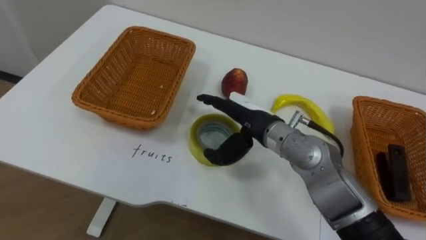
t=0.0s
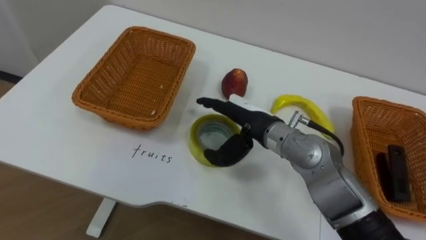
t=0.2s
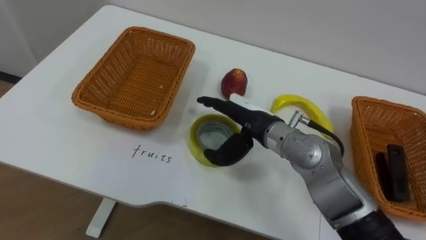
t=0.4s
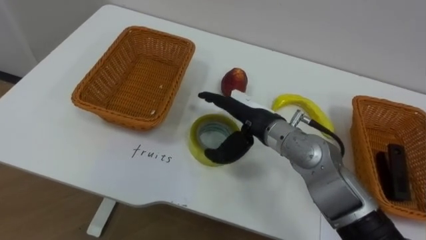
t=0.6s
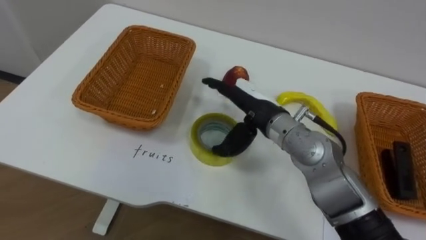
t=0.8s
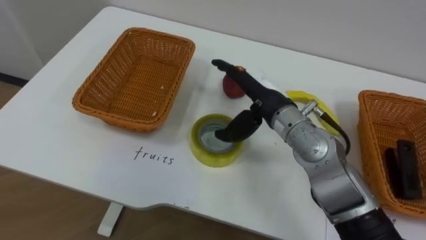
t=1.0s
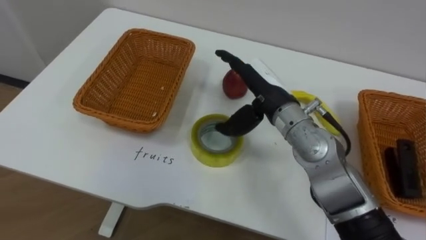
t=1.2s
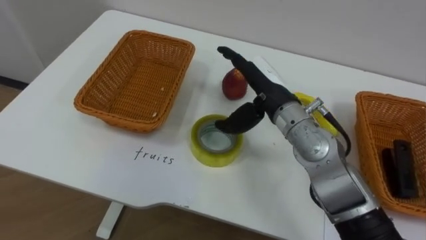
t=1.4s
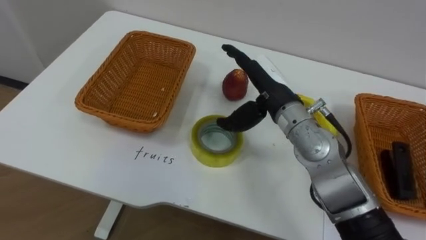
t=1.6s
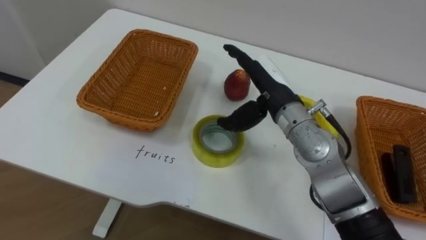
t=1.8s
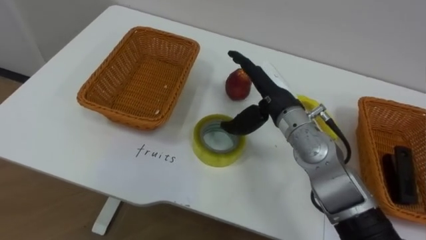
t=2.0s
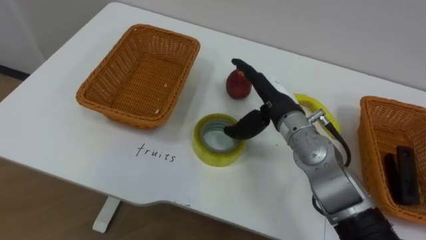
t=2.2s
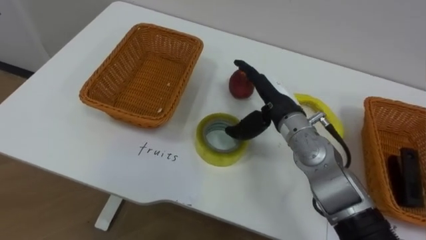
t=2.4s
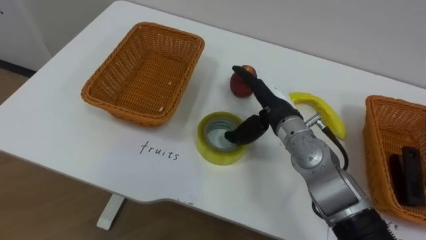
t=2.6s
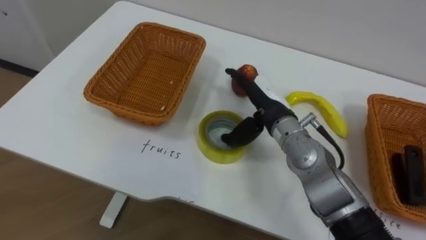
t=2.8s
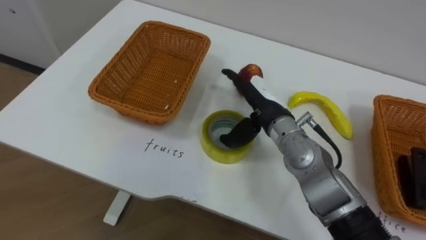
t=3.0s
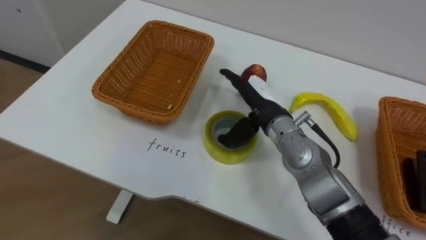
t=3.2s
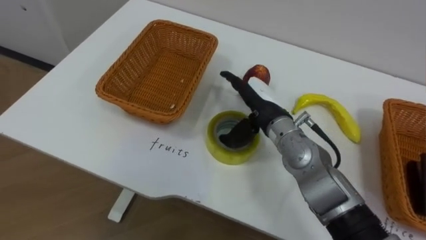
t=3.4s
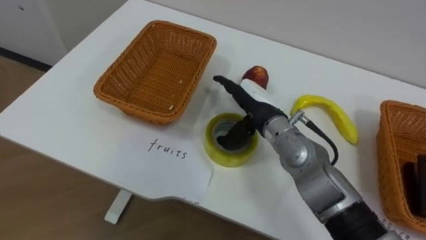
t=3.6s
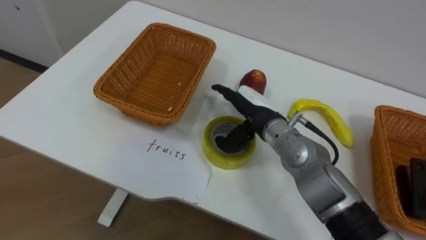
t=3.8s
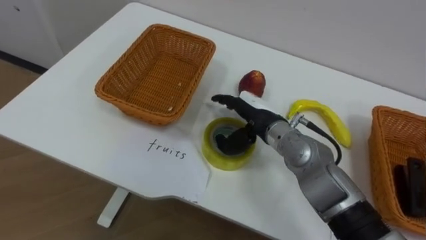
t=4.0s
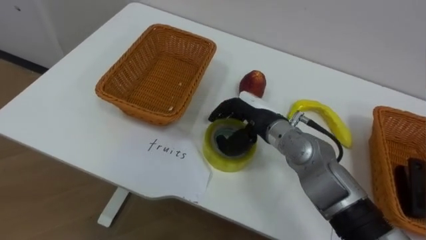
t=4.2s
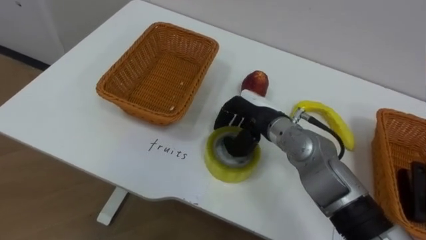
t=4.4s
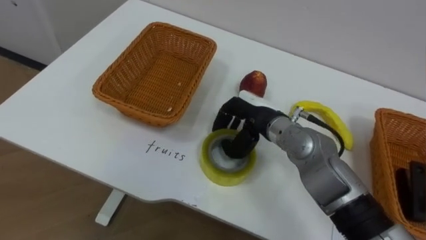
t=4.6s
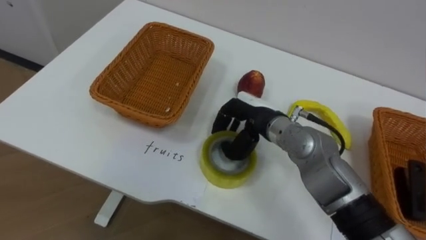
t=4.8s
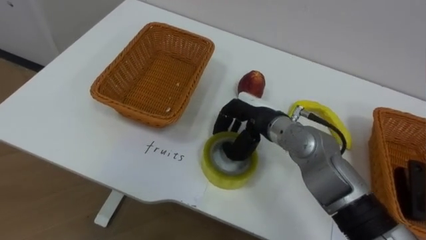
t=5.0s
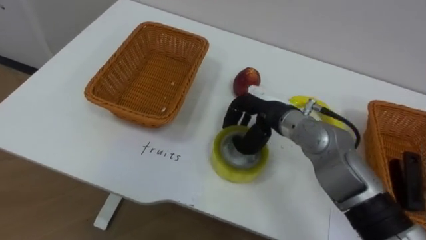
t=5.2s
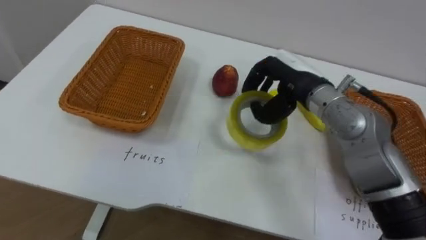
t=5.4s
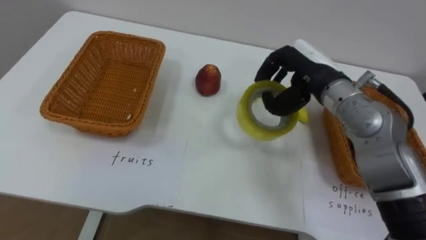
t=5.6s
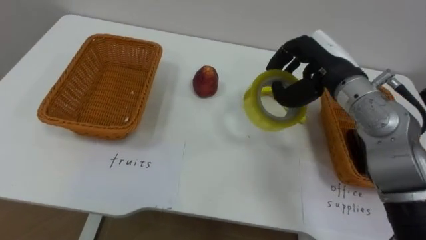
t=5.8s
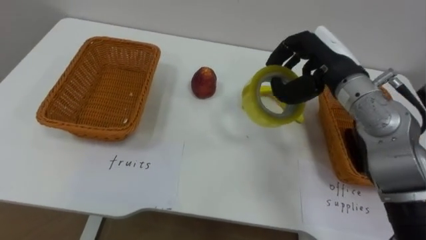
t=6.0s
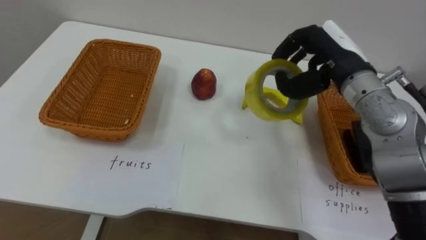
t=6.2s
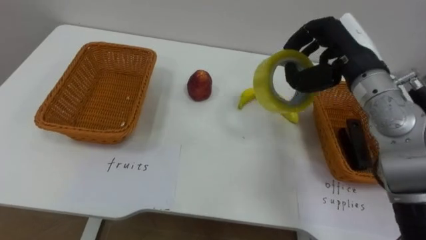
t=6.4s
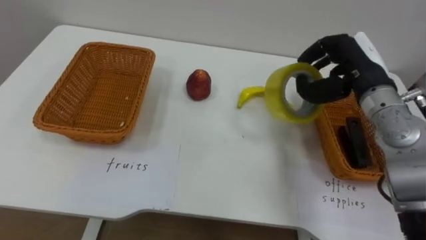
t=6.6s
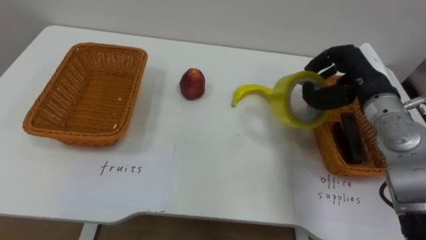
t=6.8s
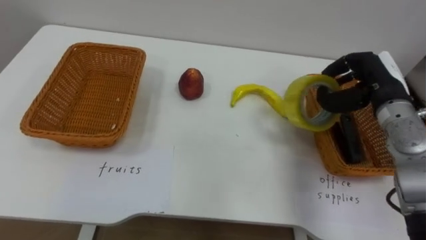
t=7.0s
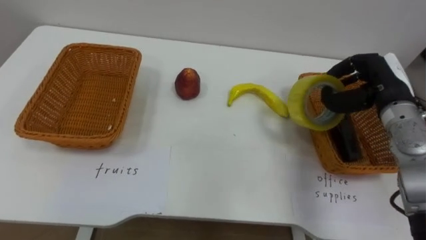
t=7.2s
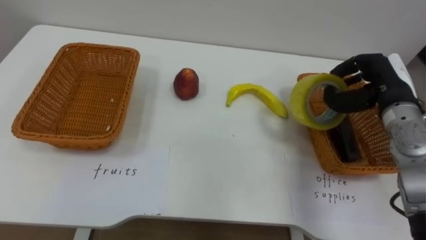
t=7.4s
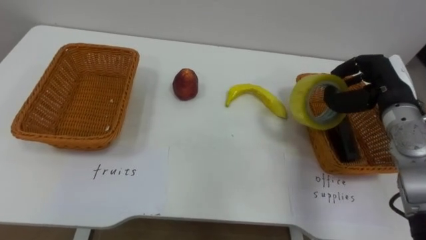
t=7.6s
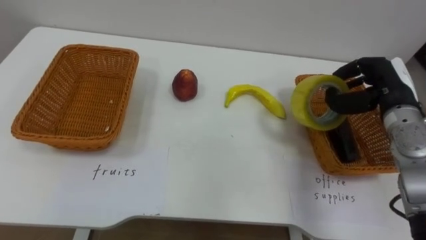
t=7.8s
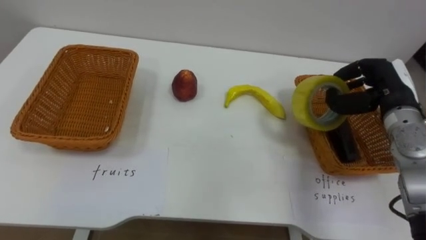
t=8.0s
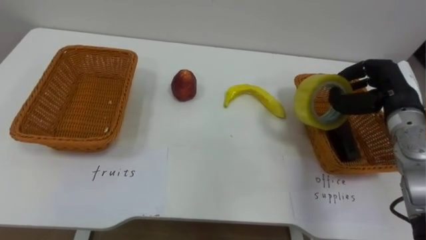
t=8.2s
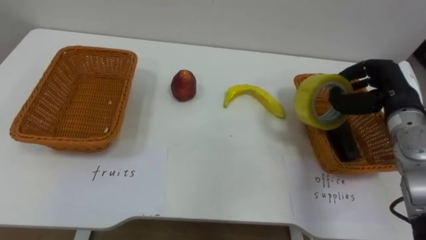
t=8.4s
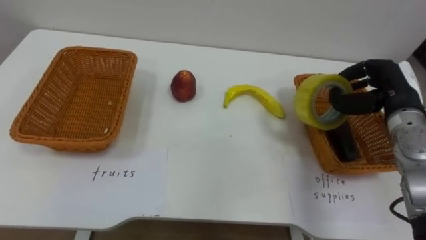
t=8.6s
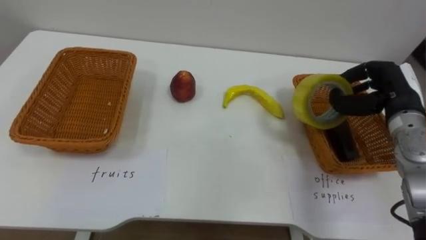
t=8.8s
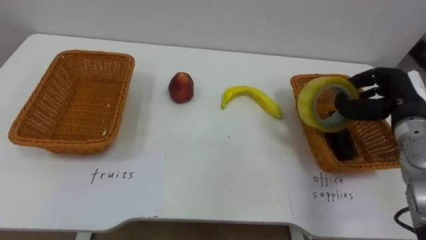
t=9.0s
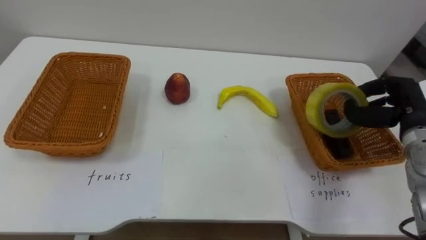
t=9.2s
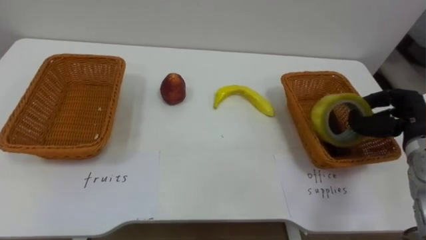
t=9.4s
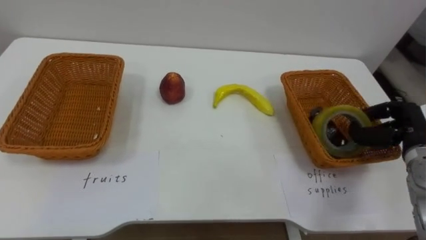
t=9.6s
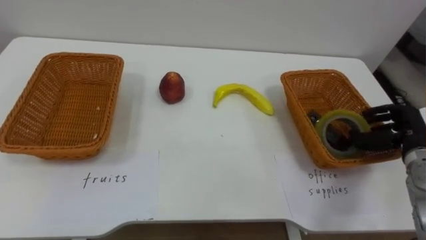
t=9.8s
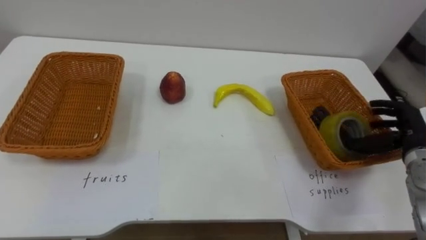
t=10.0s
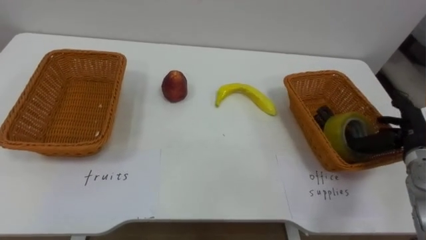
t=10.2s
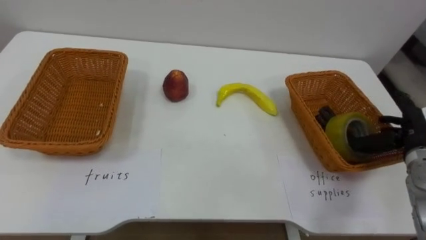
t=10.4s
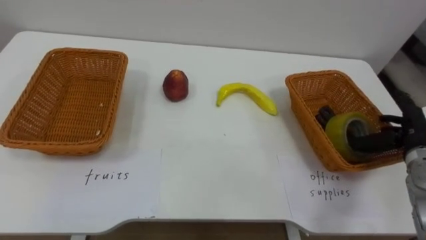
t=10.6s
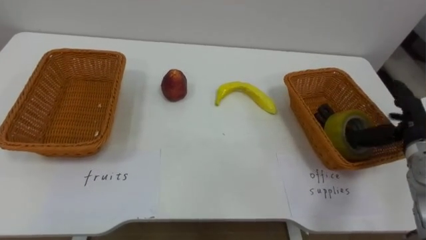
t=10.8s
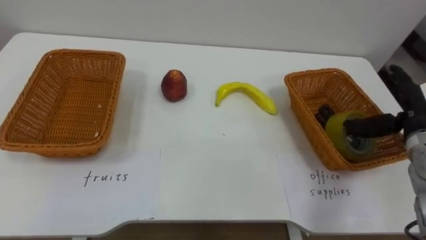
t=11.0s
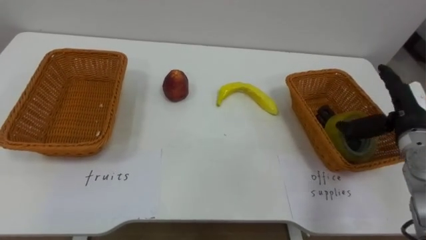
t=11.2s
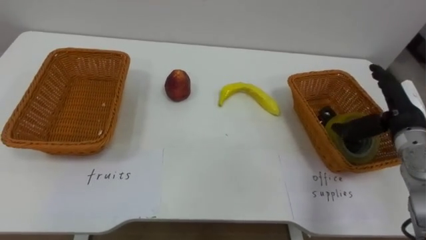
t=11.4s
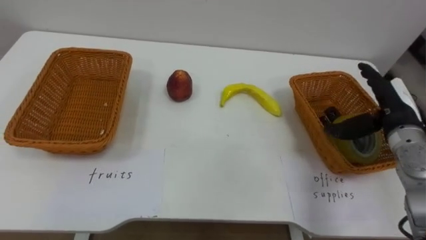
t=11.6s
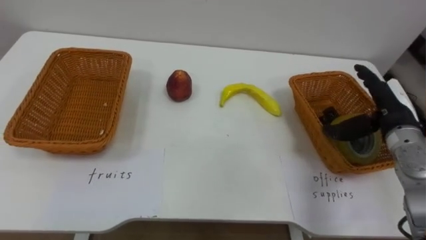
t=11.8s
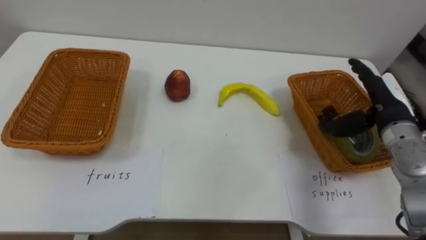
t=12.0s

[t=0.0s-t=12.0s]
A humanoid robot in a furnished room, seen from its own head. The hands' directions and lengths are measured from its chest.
Task of the whole recording: Separate the items on the table and place them into the two baskets.
t=0.0s to t=1.6s: The right hand ends up about 5 cm from where it was.
t=3.0s to t=4.4s: The right hand closes.
t=4.4s to t=6.0s: The right hand is displaced upward and to the right by some 15 cm.
t=6.0s to t=7.6s: The right hand heads to the right and downward, covering approximately 15 cm.
t=9.0s to t=10.4s: The right hand heads downward, covering approximately 5 cm, and opens up.
t=10.4s to t=12.0s: The right hand is displaced to the left and upward by some 10 cm.

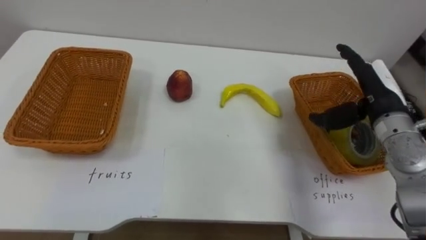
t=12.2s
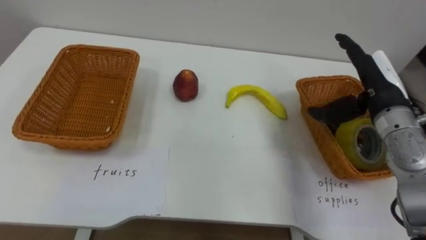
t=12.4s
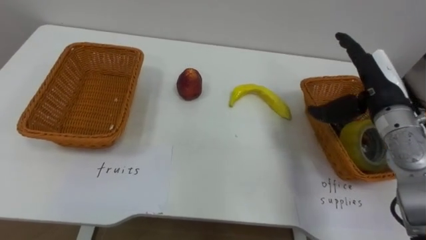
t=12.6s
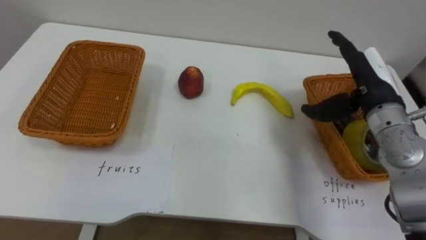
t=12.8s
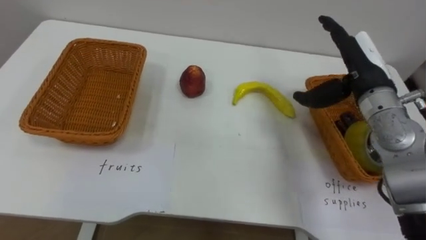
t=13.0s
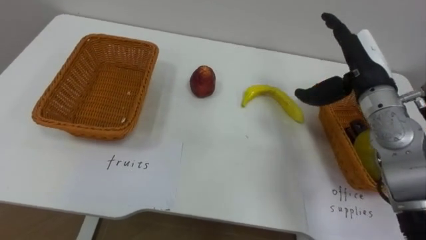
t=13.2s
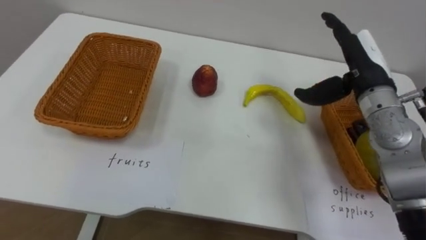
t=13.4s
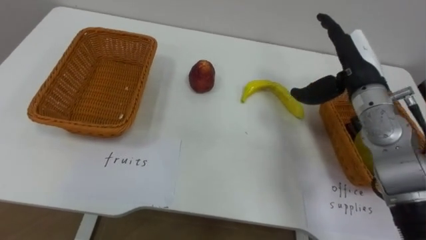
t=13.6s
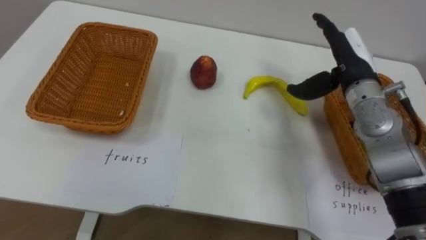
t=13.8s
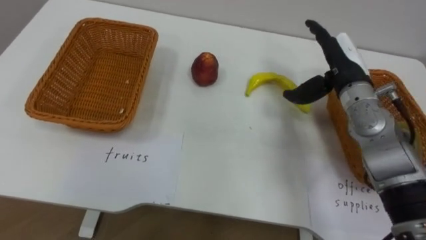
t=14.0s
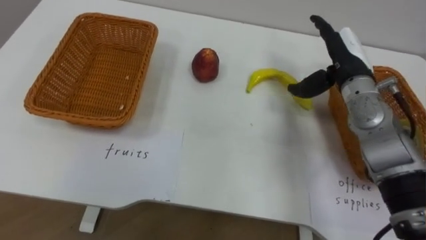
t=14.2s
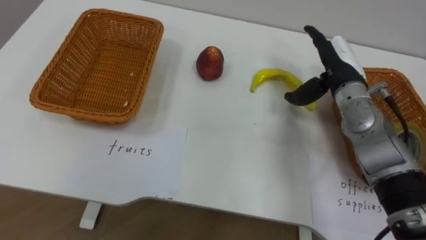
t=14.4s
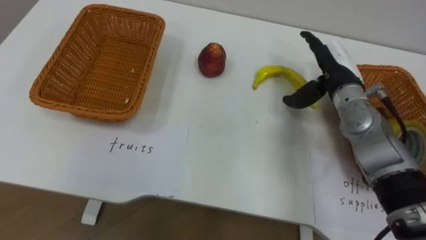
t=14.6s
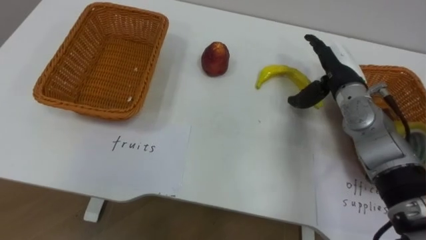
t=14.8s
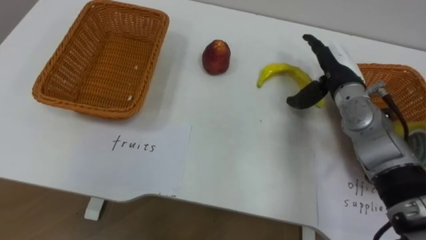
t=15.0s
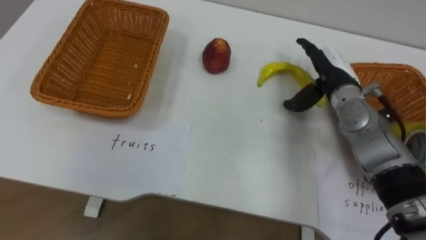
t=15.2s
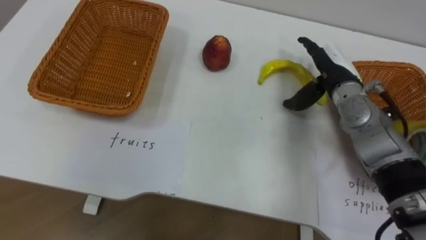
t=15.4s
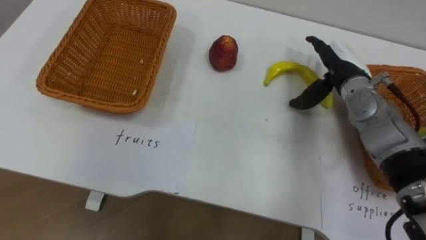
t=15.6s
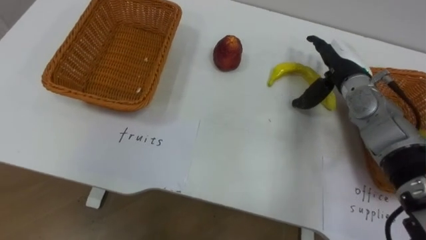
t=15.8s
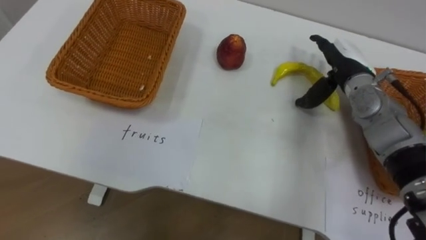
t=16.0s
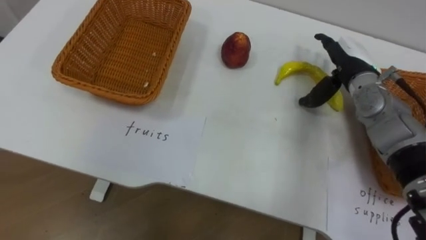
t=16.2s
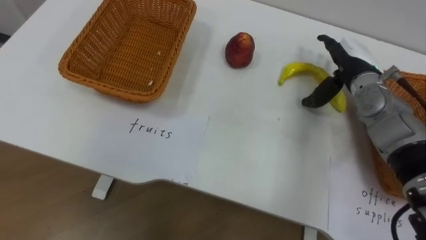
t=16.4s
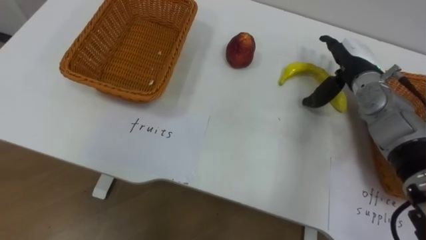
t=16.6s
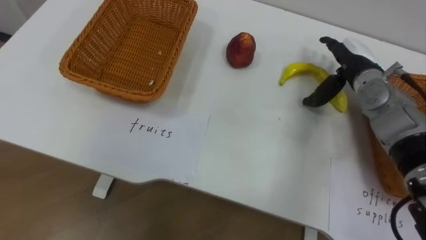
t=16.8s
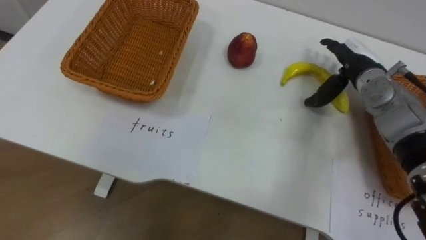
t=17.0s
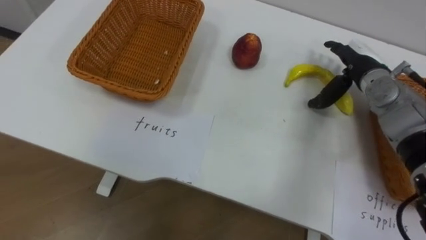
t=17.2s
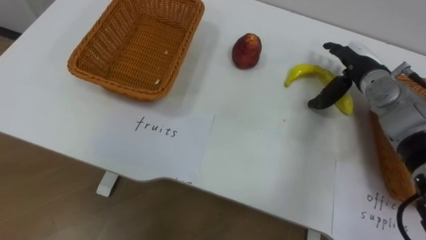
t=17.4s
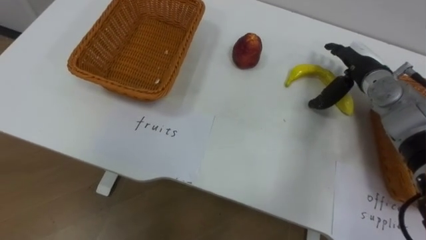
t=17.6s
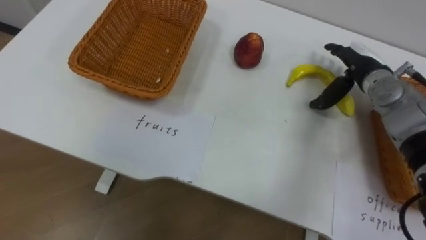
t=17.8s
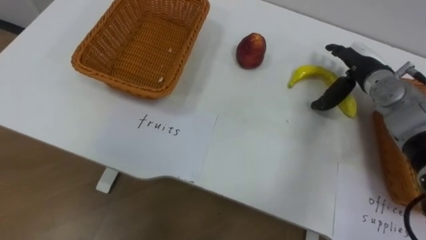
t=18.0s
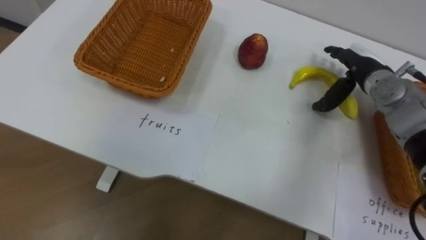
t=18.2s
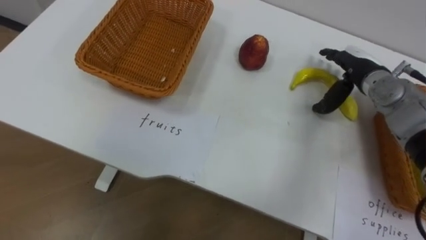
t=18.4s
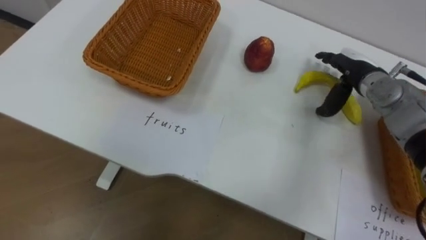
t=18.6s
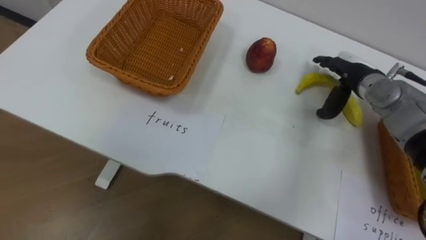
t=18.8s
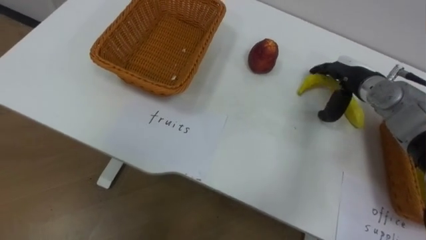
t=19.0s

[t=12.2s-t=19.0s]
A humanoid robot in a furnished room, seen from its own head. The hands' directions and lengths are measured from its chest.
Task of the whole recording: Separate the items on the table and place them into the two baskets.
t=12.2s to t=13.6s: The right hand moves roughly 5 cm.
t=13.6s to t=15.0s: The right hand changes place by some 5 cm.
